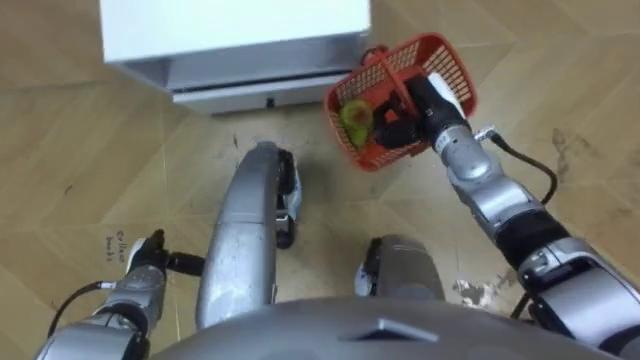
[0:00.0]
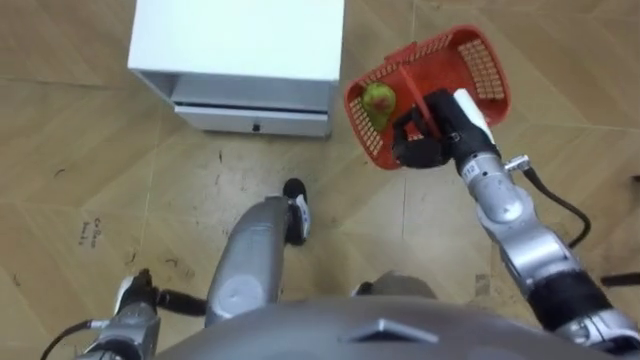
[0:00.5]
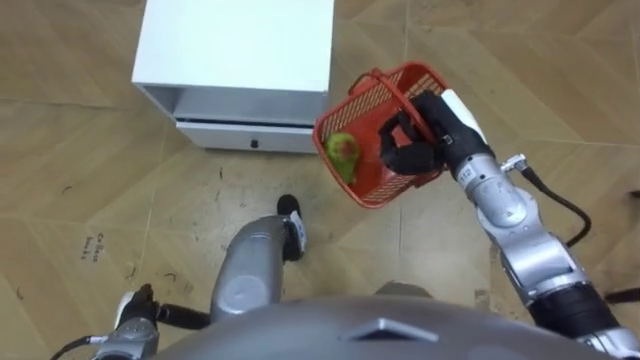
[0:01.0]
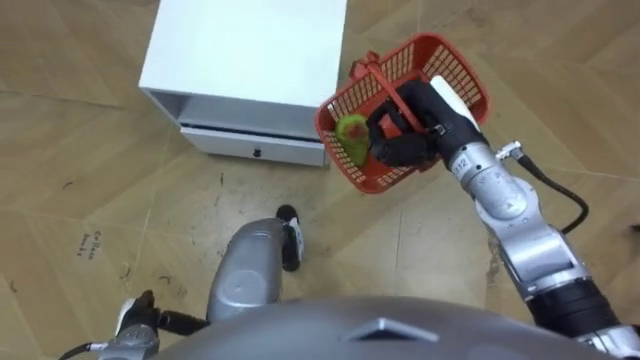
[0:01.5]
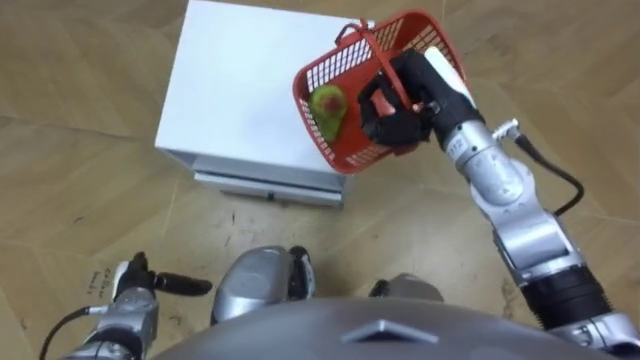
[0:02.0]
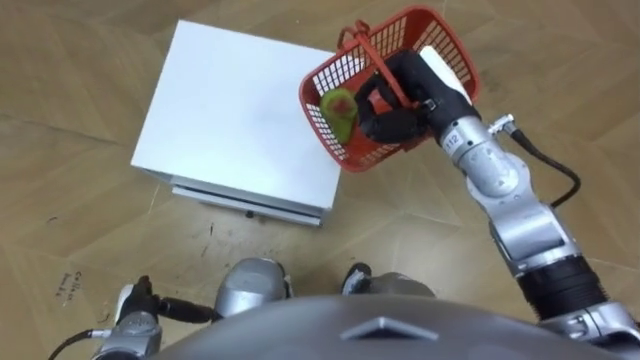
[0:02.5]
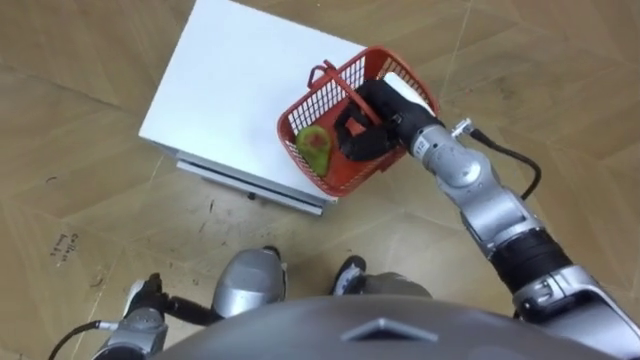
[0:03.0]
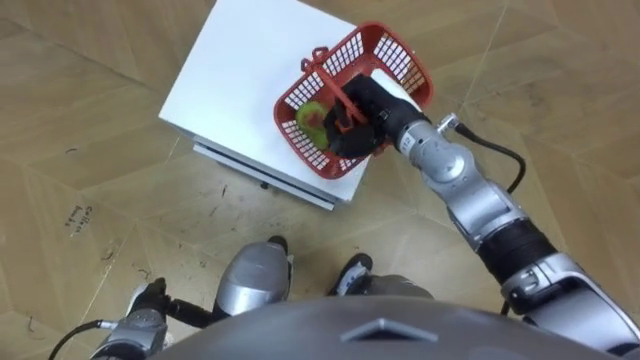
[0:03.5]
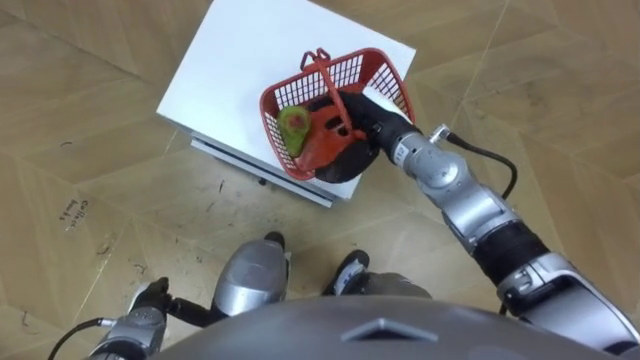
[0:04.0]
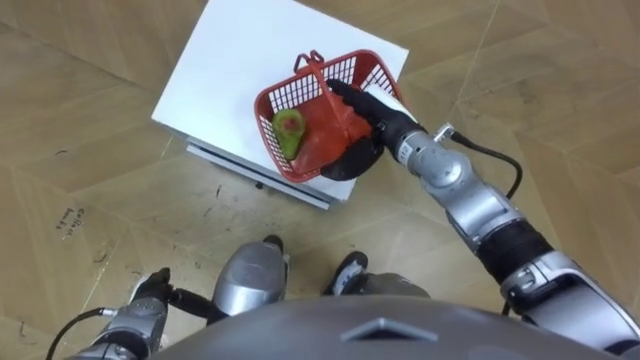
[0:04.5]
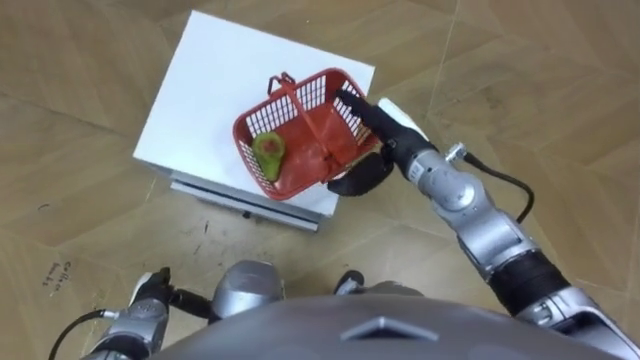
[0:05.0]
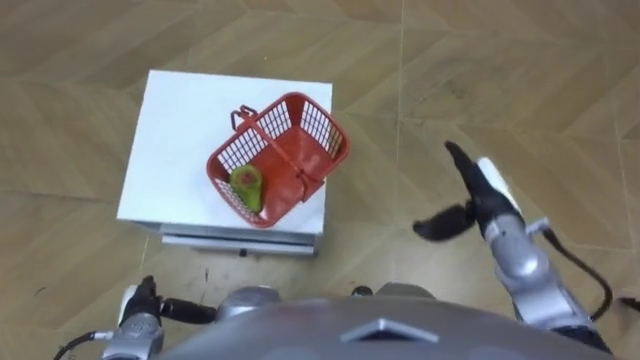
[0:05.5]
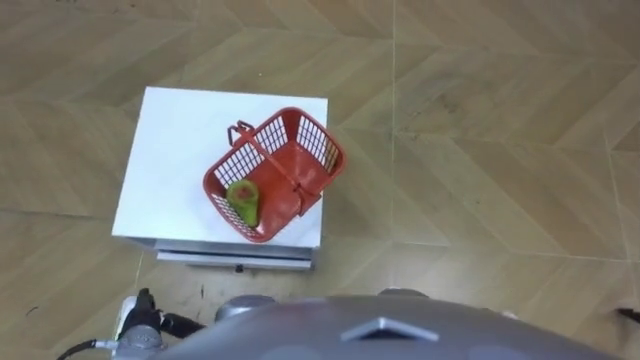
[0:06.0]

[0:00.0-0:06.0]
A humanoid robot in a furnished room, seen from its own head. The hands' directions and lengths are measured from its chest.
Task of the whole recording: Pick up the fruit basket from the floor and place it on the cabinet.
0:00.0 to 0:02.0: The right hand travels upward by roughly 10 cm. Meanwhile the left hand goes approximately 5 cm backward.
0:02.0 to 0:04.0: The right hand travels downward and to the left by some 10 cm, and opens.
0:04.0 to 0:06.0: The right hand moves backward, to the right and downward, about 40 cm.

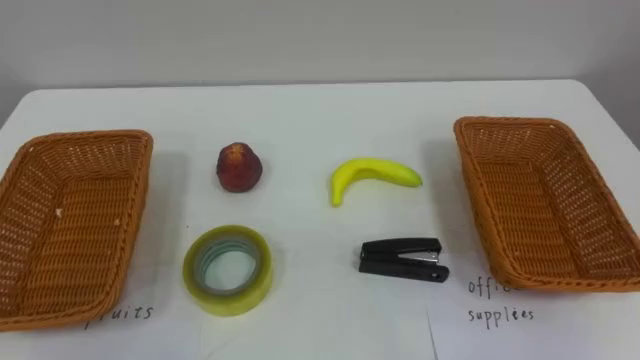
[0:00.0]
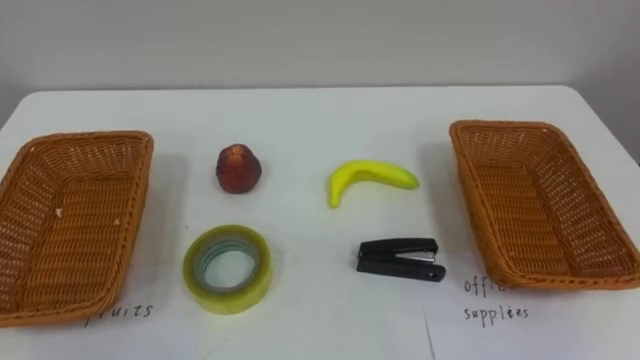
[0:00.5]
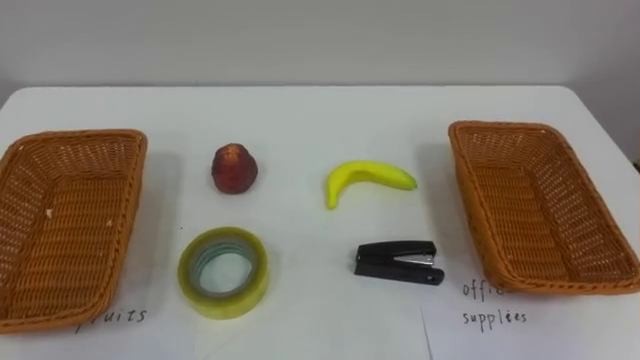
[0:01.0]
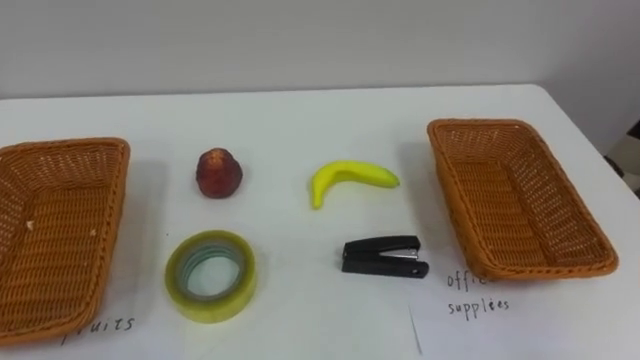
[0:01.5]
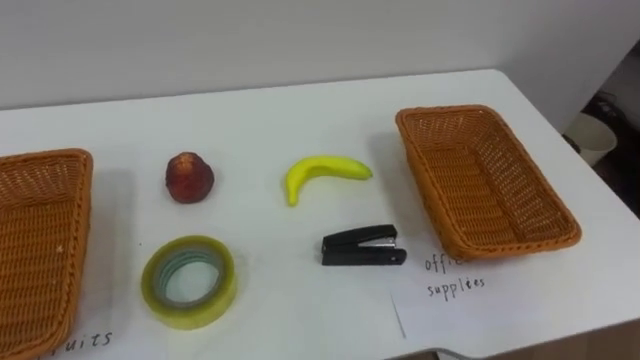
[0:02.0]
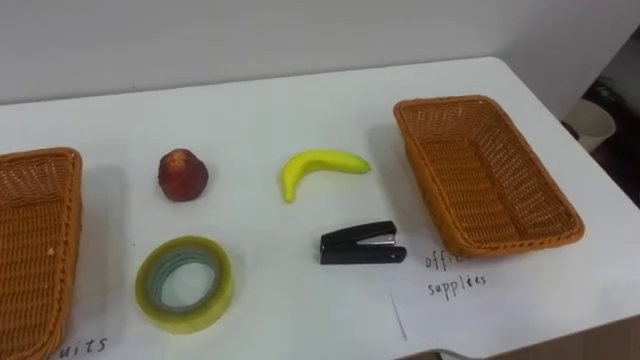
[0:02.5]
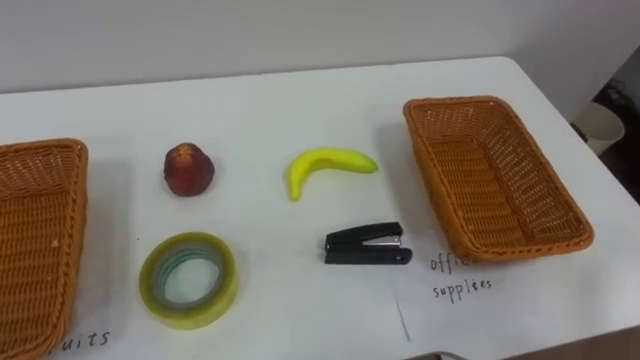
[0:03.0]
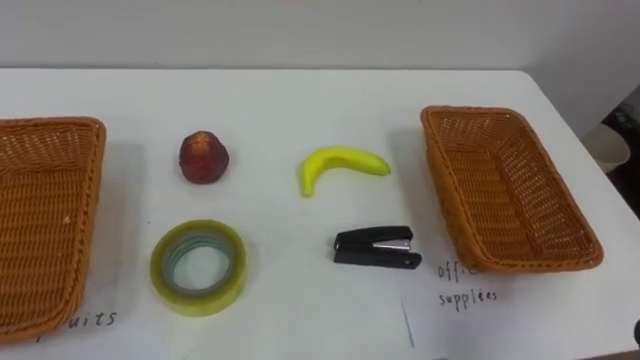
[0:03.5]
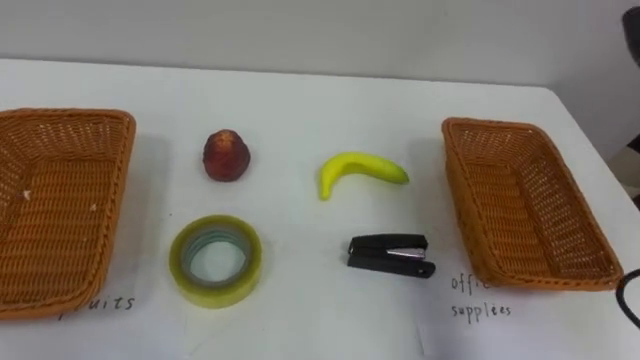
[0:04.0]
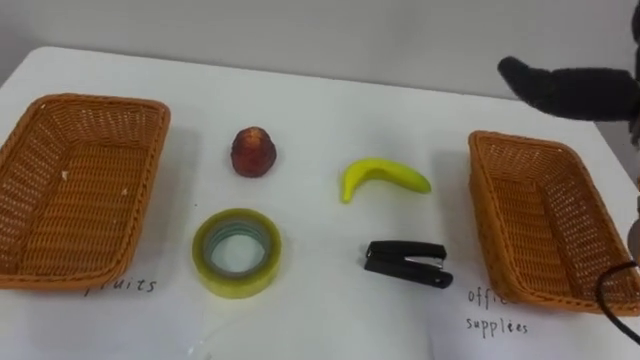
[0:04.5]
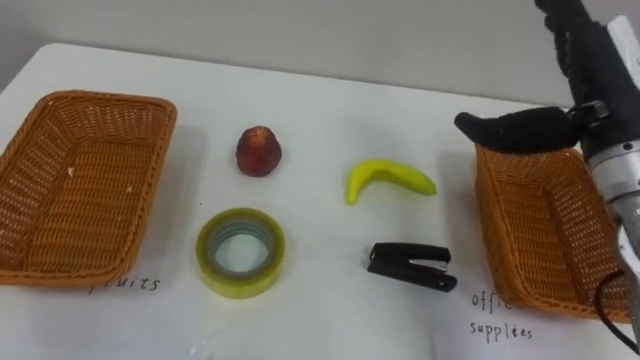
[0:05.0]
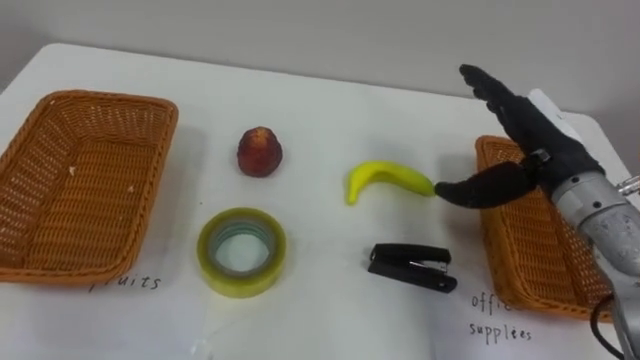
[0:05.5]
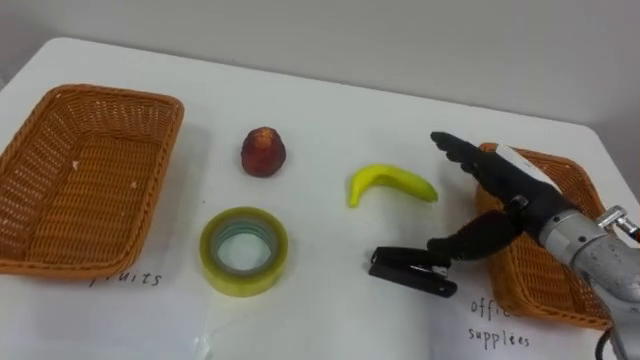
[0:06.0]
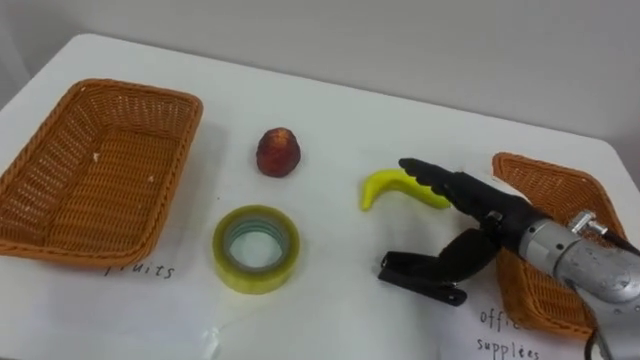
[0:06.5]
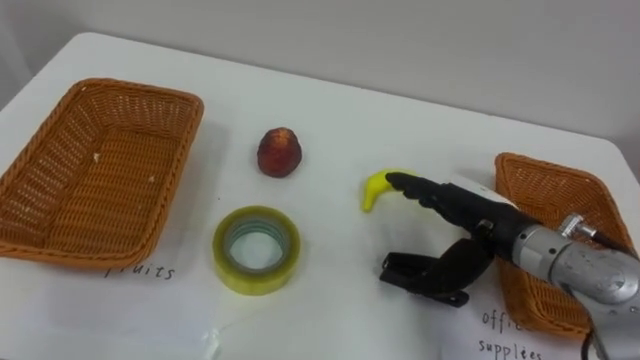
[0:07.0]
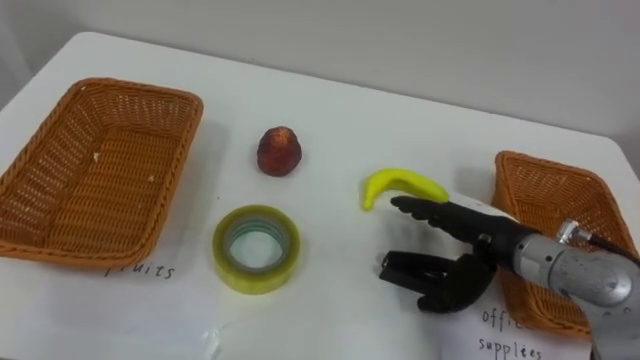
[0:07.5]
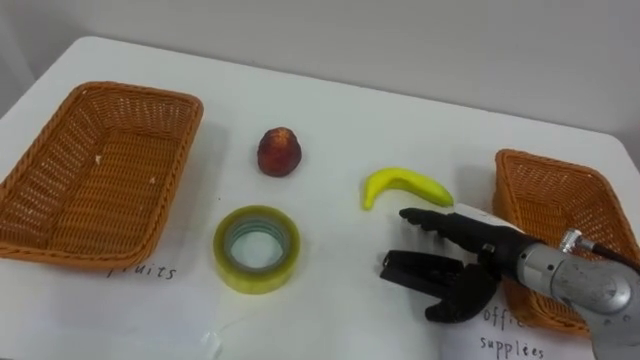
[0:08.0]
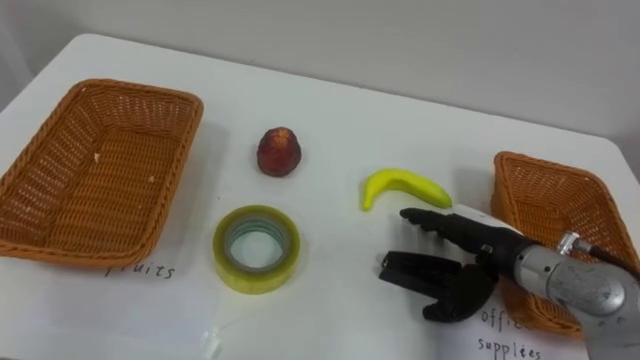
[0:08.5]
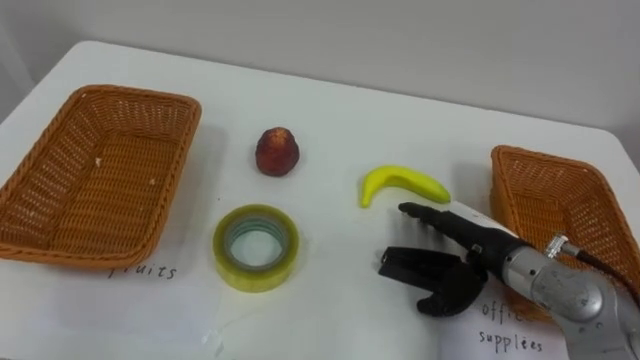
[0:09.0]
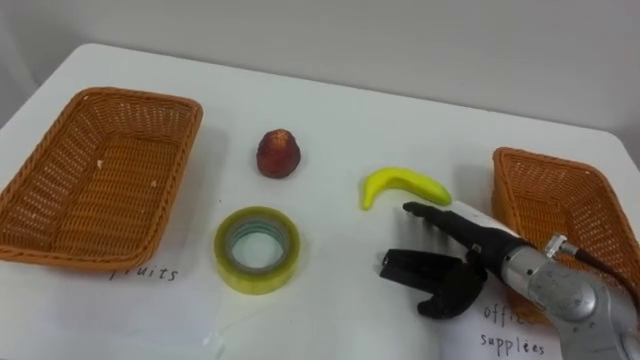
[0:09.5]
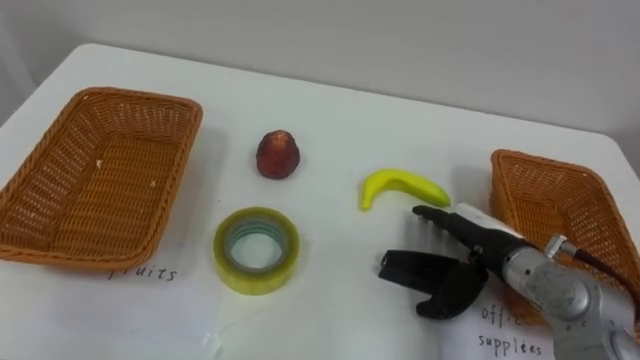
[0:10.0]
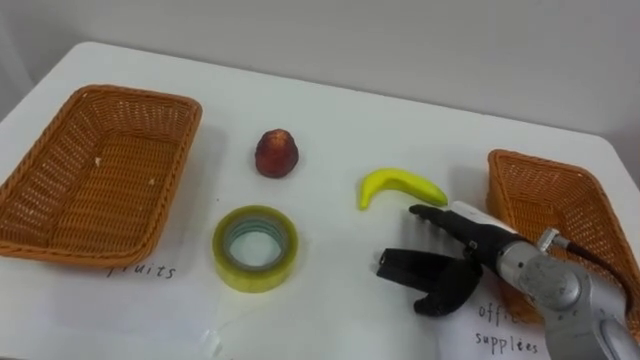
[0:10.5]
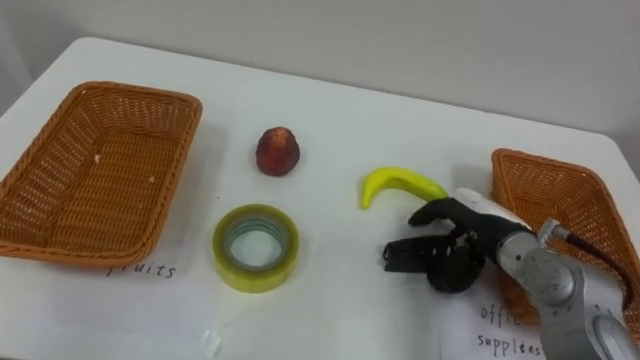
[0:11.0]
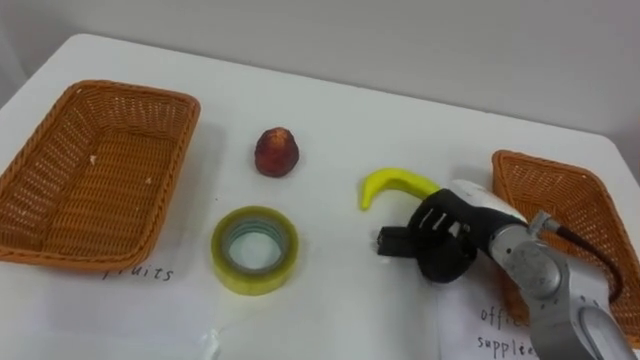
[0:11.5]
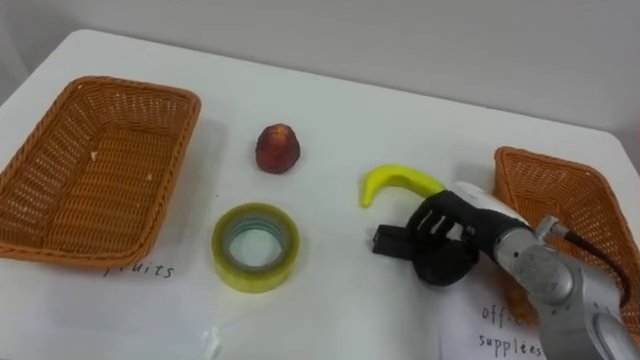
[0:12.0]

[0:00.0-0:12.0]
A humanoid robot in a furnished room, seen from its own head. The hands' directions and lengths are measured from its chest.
Task of the whole recording: Separate the items on the table and place them into the two baskets.
0:06.0 to 0:08.0: The right hand shifts some 5 cm downward.
0:10.0 to 0:12.0: The right hand closes up.

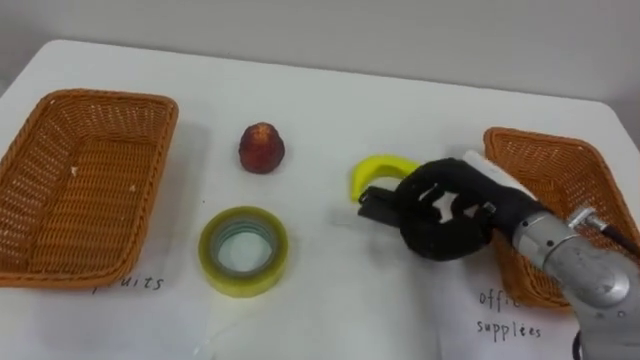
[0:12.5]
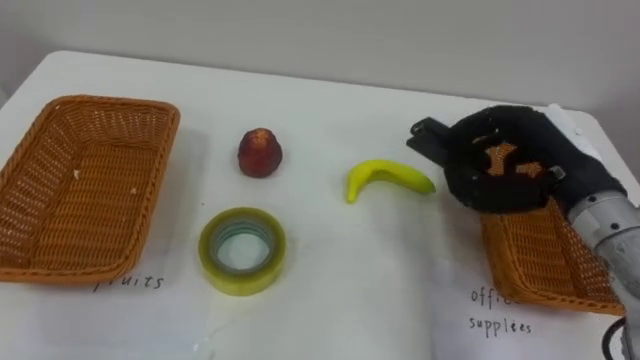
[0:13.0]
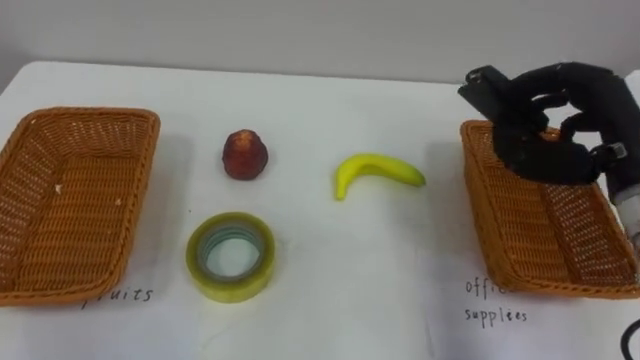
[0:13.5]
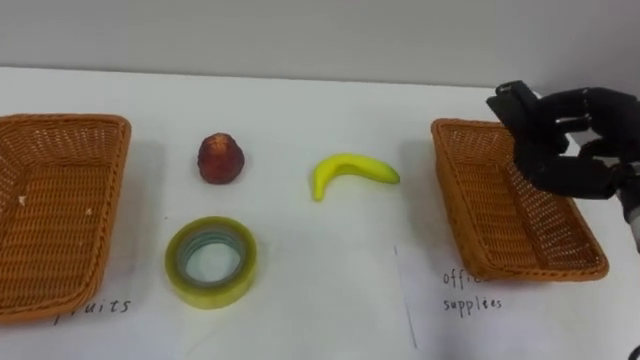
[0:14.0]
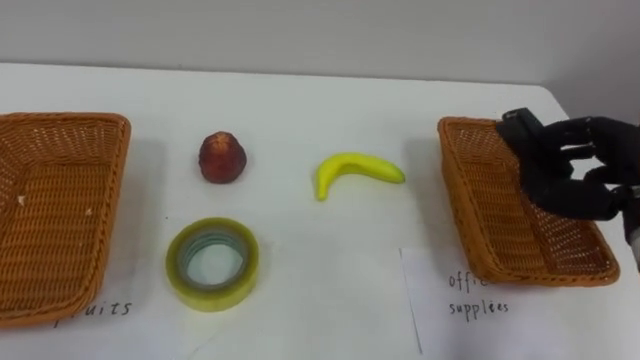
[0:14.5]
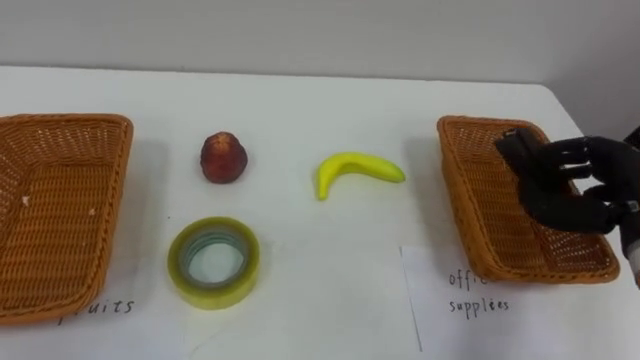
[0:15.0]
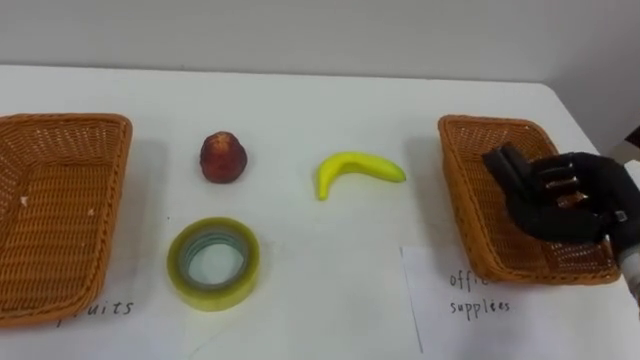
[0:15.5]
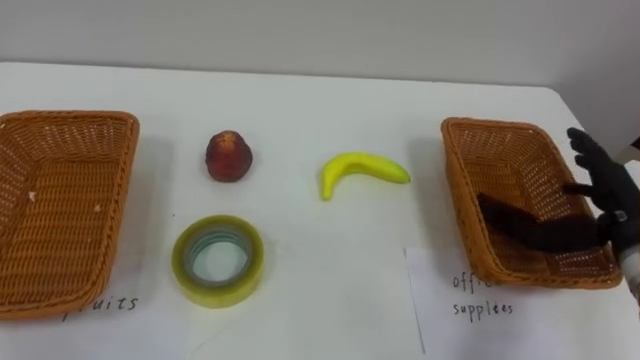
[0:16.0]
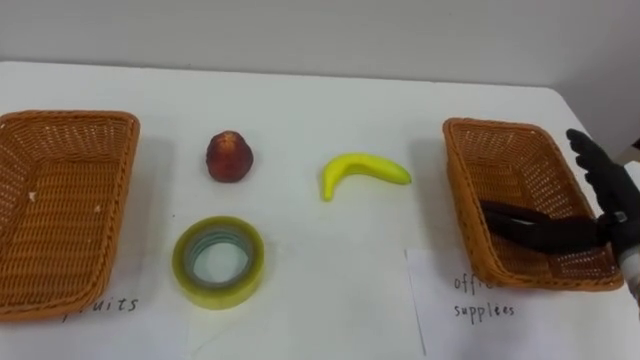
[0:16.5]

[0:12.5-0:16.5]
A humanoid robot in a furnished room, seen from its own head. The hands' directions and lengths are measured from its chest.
Task of the whole recording: Separate the items on the table and place them into the two baskets.
0:12.5 to 0:14.5: The right hand is displaced to the right by roughly 15 cm.
0:14.5 to 0:16.5: The right hand opens up.
